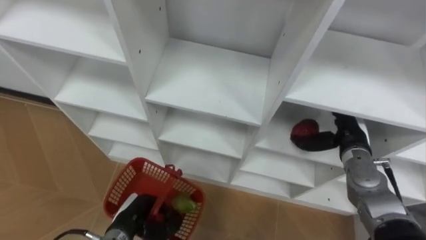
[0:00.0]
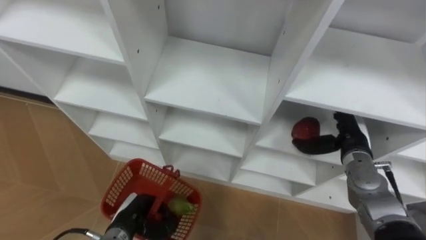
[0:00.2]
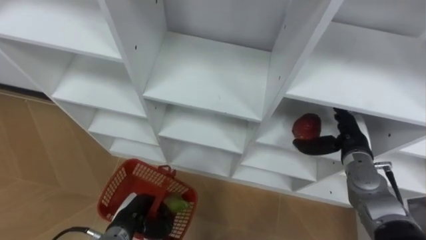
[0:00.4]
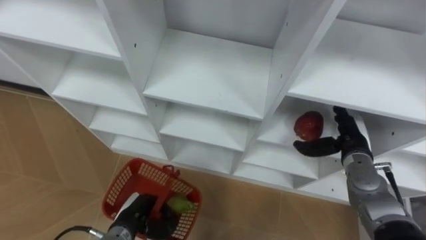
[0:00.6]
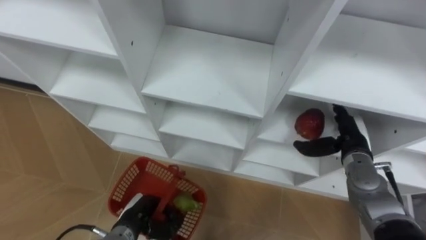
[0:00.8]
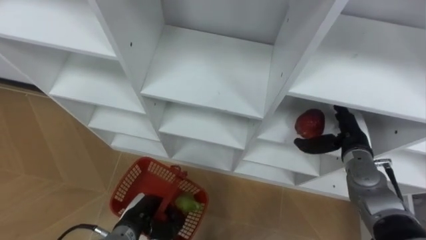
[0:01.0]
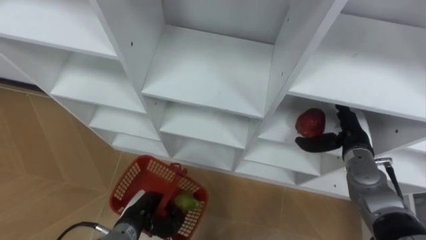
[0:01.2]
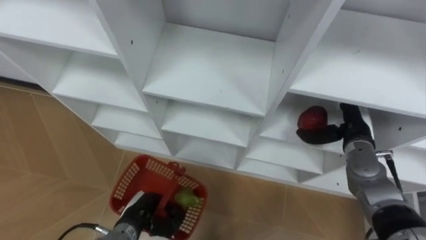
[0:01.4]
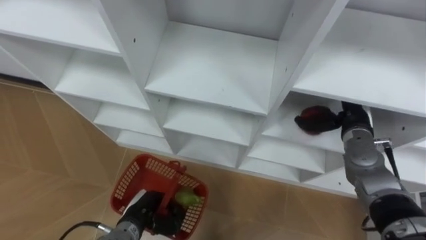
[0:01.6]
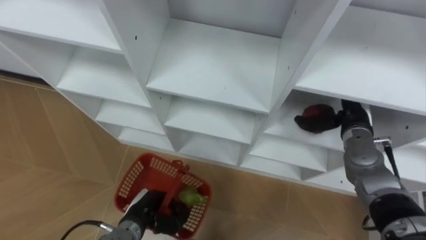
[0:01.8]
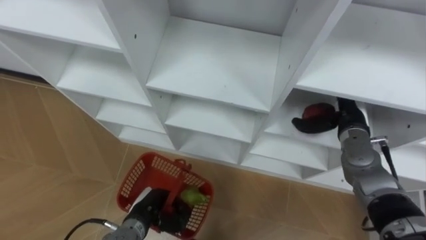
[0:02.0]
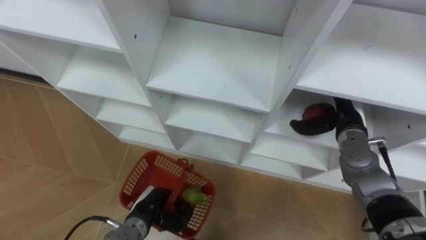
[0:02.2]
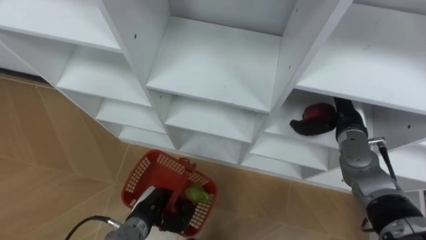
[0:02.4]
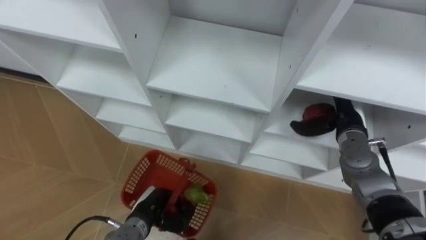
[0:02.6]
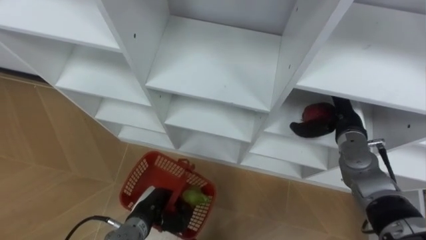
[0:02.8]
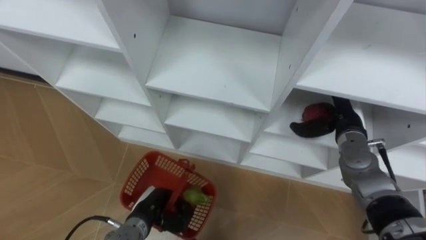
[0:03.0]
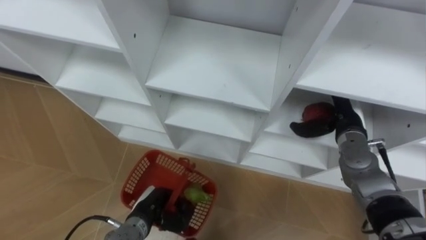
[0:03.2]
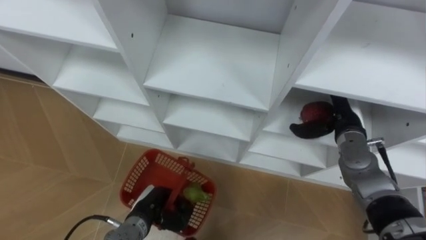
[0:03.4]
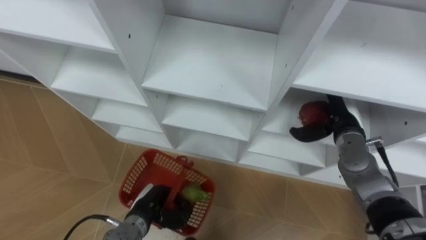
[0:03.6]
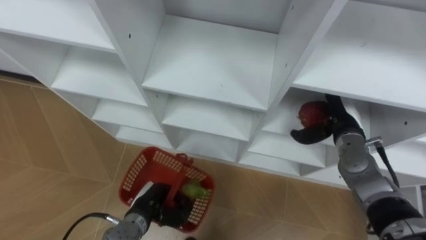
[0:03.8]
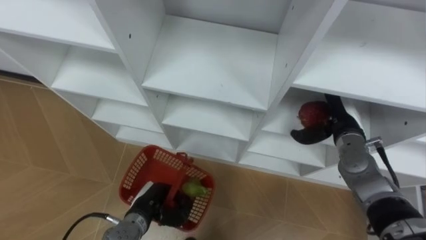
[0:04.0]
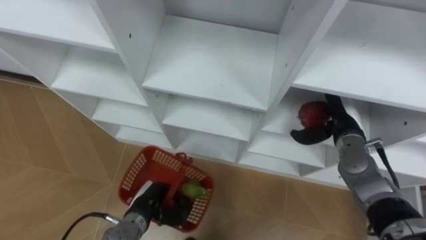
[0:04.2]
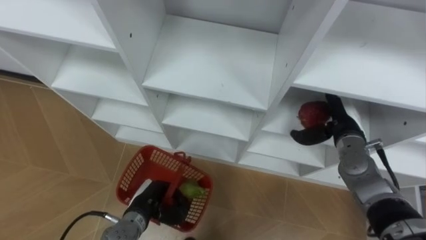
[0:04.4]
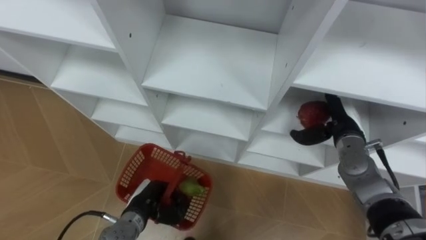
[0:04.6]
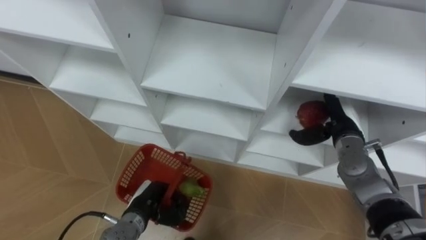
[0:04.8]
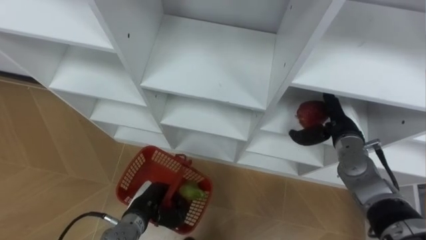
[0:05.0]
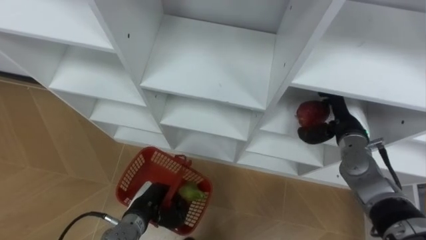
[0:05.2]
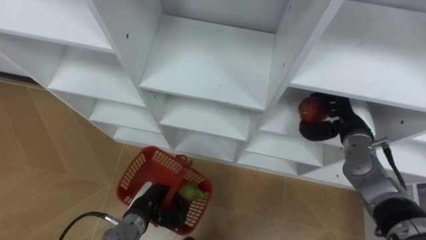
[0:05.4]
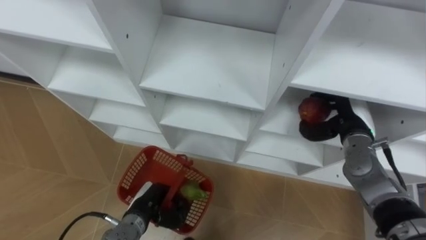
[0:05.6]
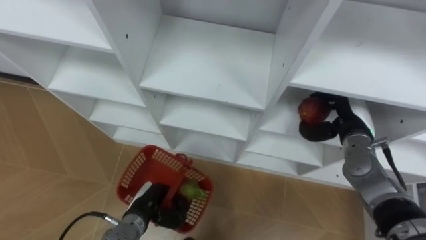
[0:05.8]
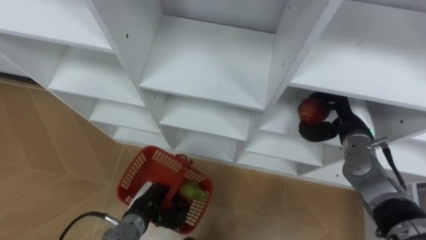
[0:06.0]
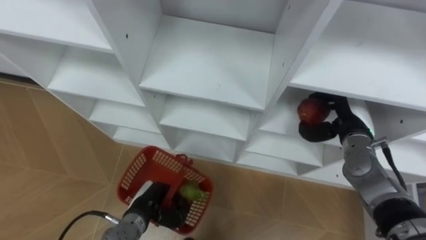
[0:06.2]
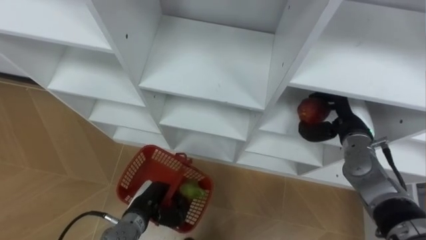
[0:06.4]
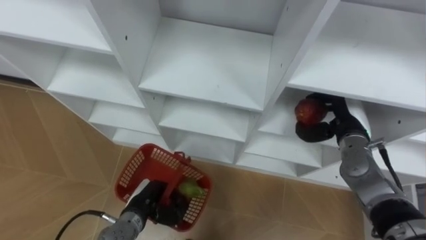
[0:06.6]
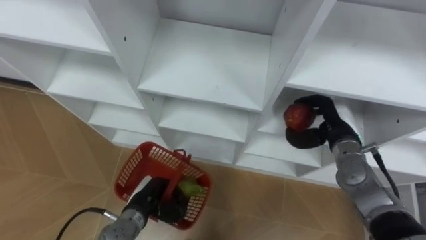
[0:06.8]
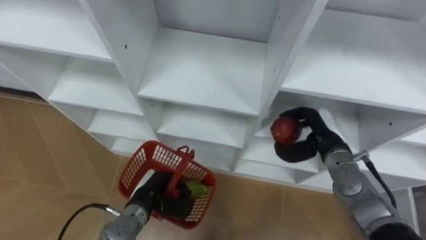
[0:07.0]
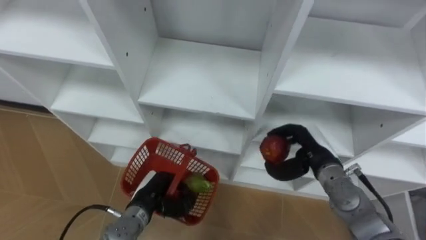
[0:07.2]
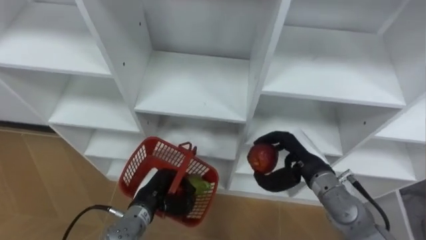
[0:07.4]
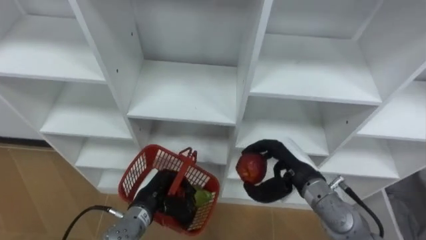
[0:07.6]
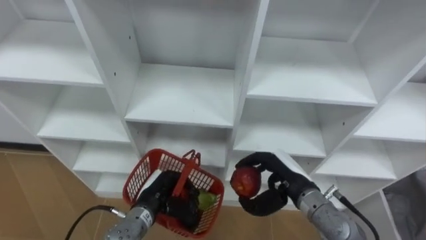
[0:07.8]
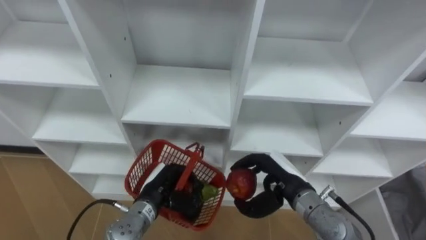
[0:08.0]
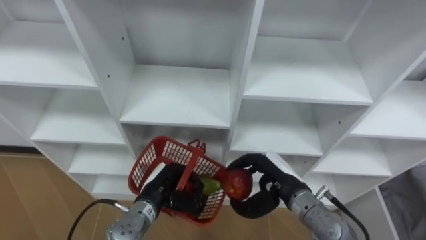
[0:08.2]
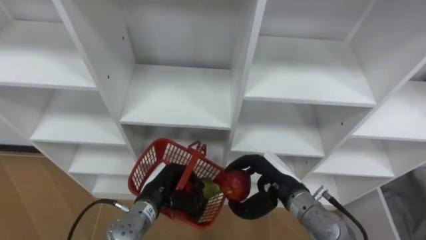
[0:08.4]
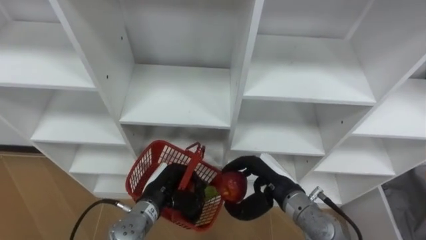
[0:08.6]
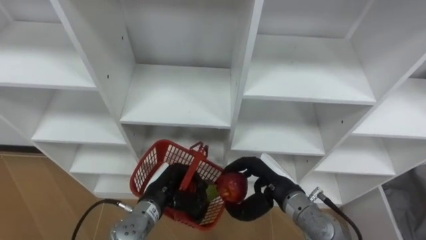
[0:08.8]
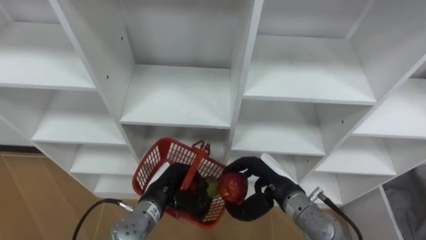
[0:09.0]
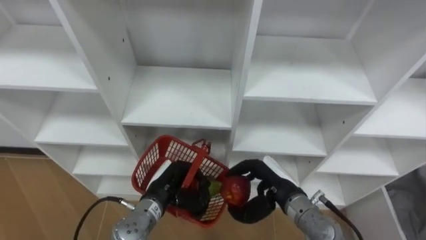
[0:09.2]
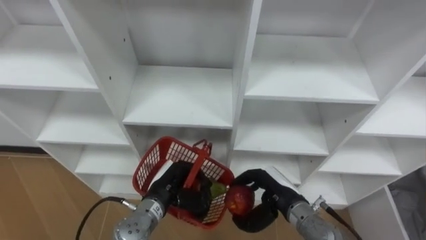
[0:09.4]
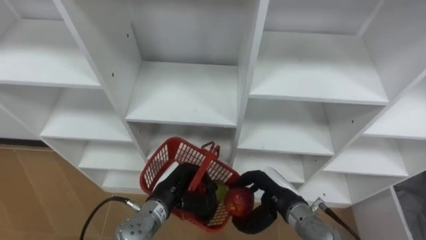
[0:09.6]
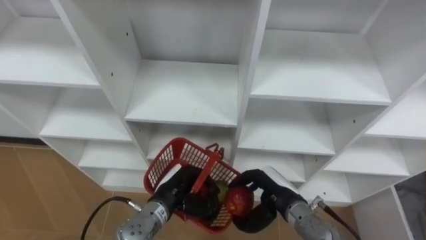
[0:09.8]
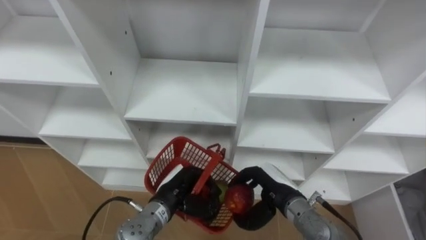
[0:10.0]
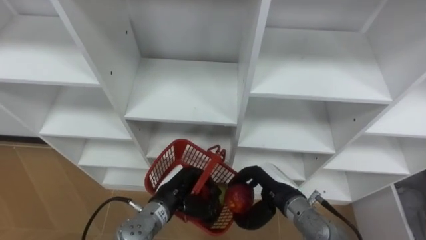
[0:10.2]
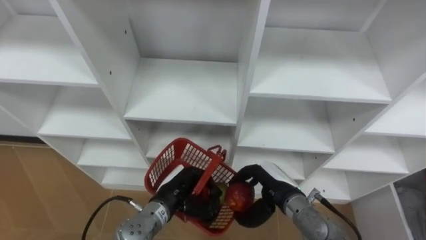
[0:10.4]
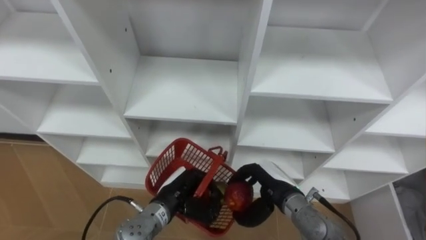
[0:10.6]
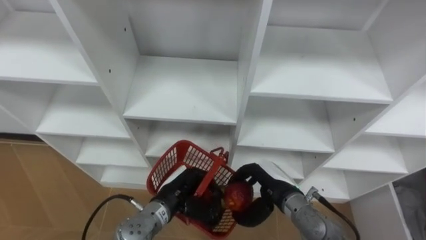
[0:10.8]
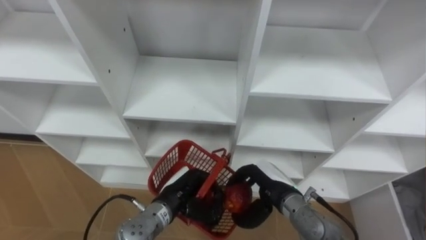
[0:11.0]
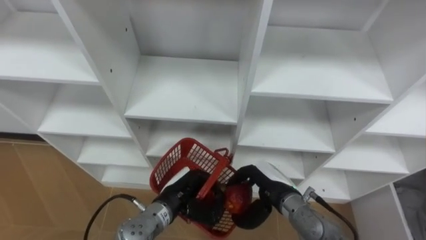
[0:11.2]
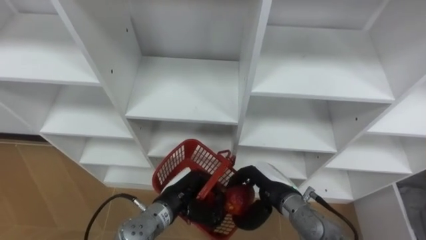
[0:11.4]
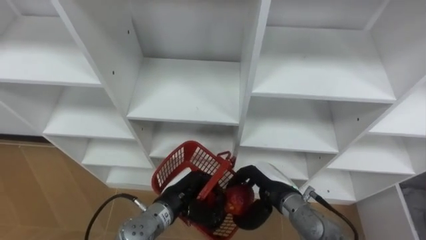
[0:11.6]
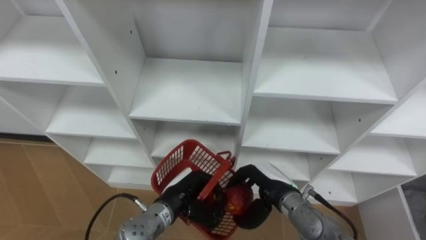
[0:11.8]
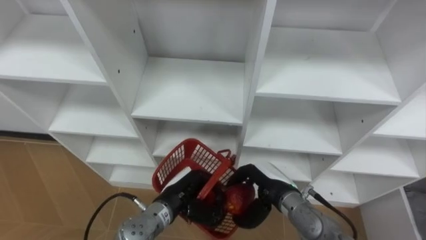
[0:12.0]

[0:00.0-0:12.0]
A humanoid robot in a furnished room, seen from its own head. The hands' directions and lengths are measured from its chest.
Task of the whole recording: Hold the basket and collect the fruits from 3 different cells of the closet into it.
0:03.0 to 0:04.4: The hands stay close to where they were, moving slightly.
0:04.4 to 0:06.0: The right hand closes.
0:06.0 to 0:07.6: The right hand travels to the left and backward by approximately 15 cm.
0:07.6 to 0:09.0: The right hand changes place by roughly 5 cm.
0:10.4 to 0:12.0: The hands make only small movements.

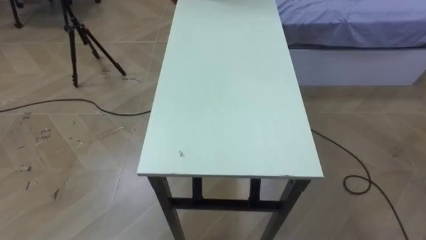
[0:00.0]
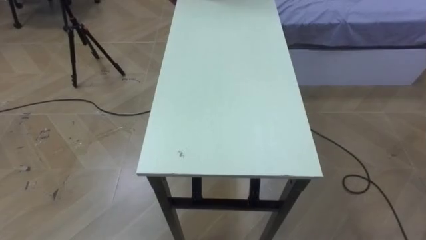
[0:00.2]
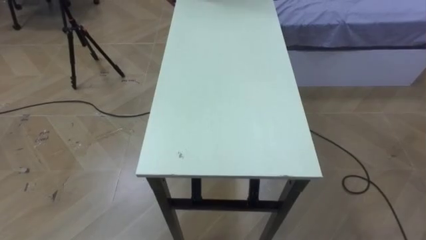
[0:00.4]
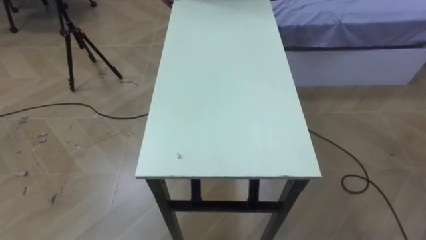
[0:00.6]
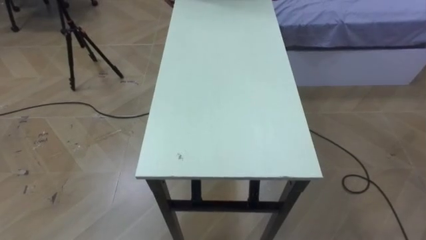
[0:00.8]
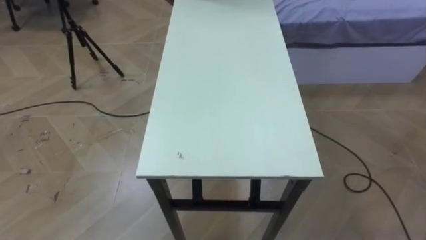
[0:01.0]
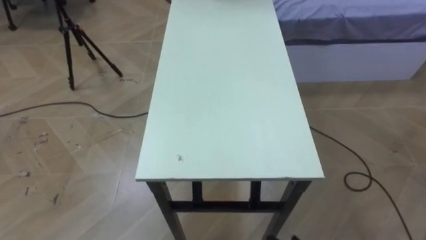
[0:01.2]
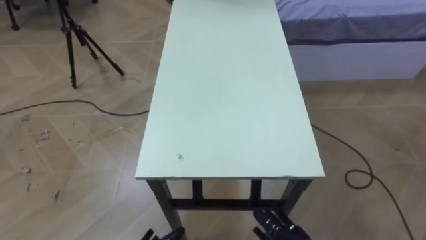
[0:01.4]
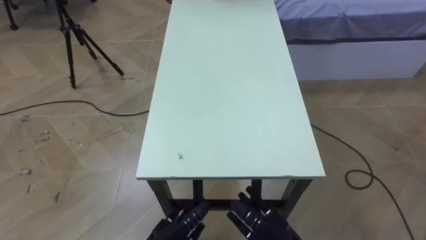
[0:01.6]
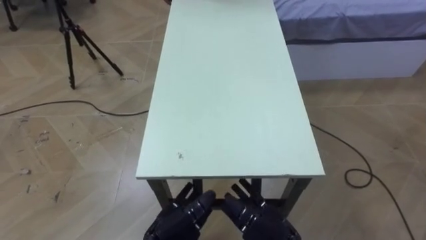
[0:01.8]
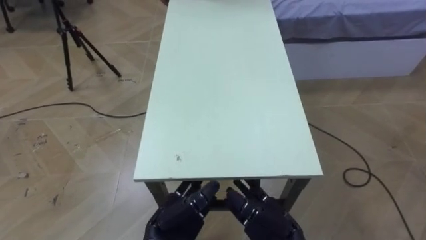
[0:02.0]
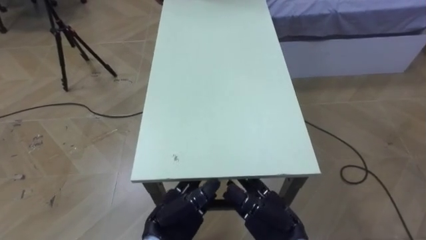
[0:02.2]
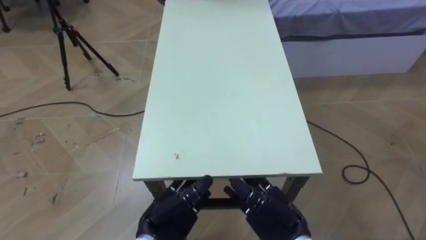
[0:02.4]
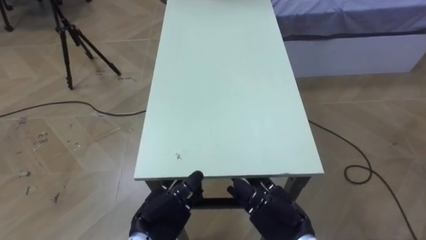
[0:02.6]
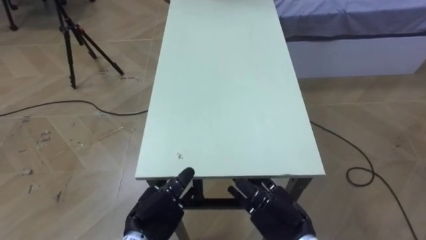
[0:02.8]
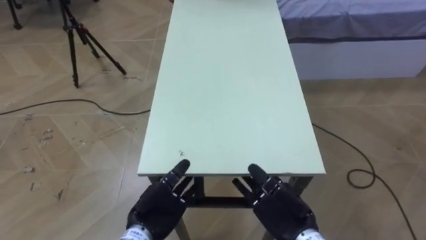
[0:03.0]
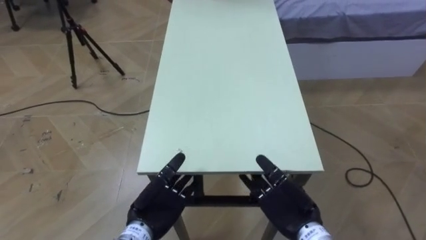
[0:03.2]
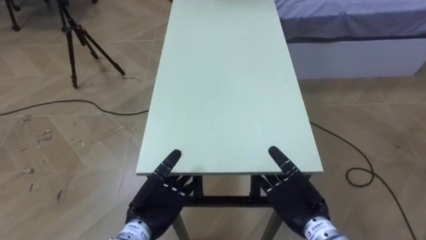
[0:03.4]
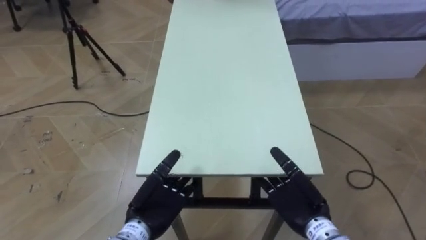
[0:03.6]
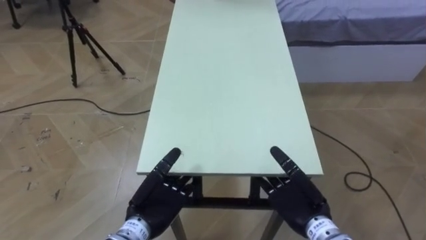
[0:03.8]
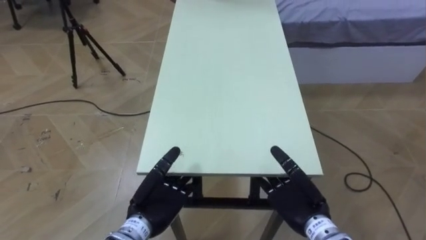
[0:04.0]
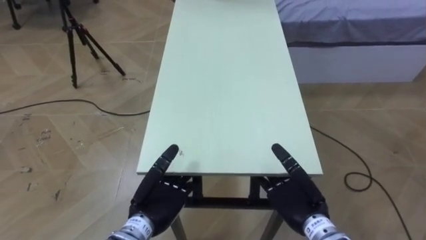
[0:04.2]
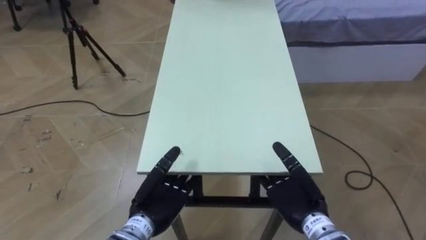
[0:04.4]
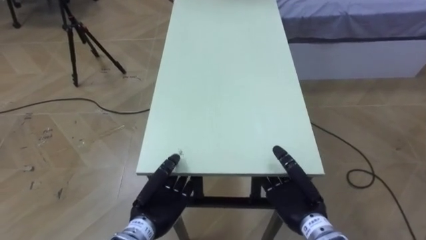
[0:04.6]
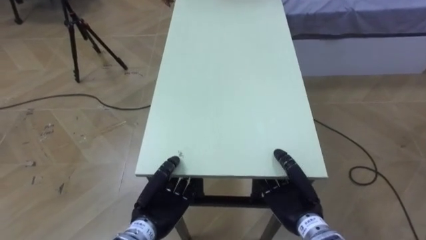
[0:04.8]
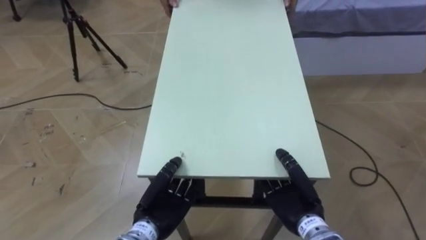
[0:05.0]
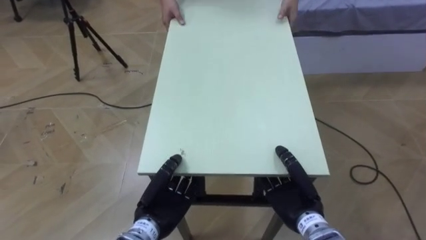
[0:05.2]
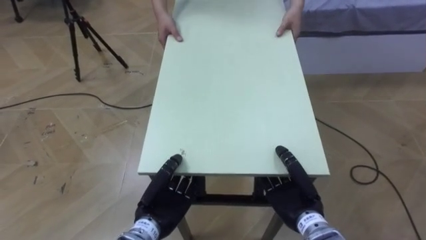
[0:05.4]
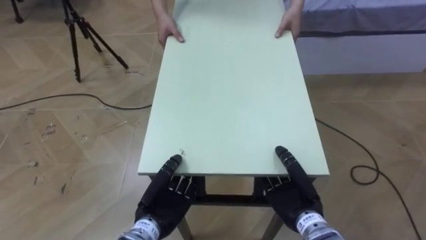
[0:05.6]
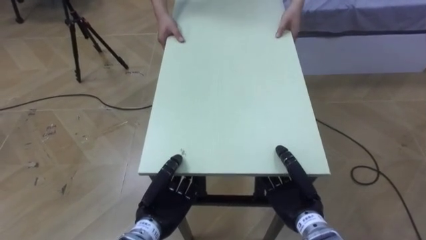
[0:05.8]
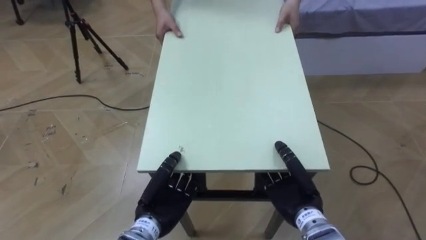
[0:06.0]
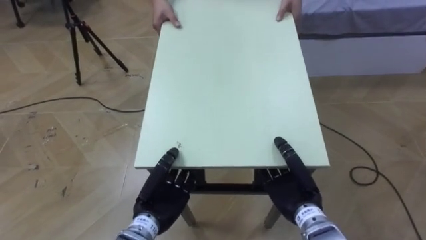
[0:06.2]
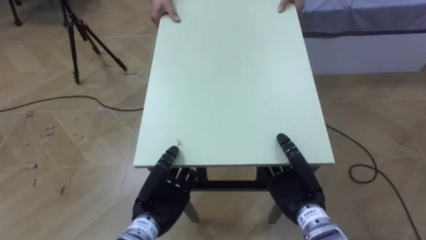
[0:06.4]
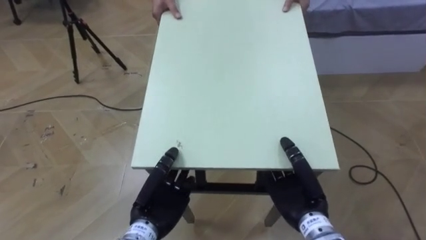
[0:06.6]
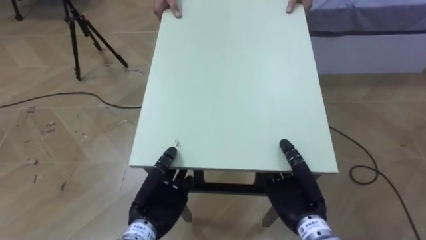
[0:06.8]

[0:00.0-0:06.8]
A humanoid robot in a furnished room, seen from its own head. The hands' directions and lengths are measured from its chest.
Task of the whole recording: Move the table to the back left with someone.
0:04.0 to 0:05.4: The right hand closes its fingers, while the left hand closes its fingers.
